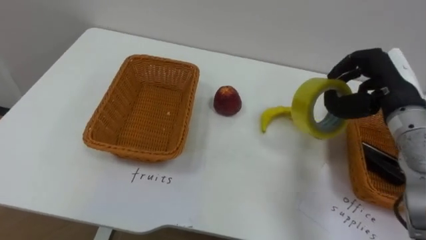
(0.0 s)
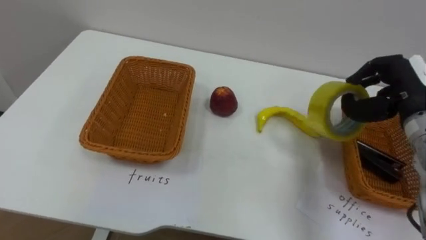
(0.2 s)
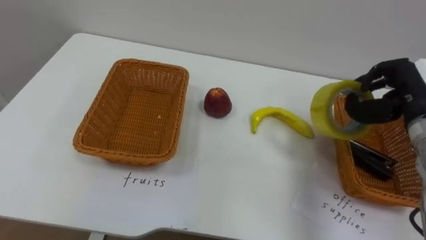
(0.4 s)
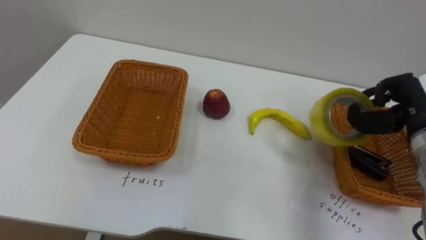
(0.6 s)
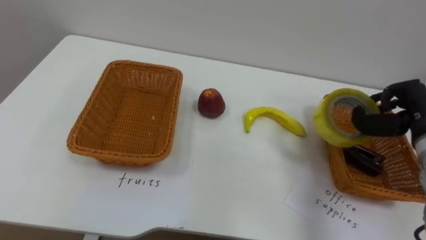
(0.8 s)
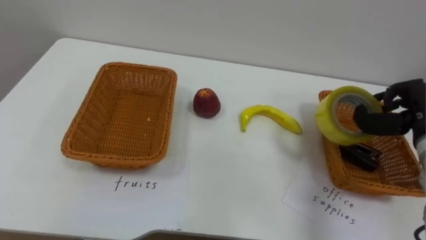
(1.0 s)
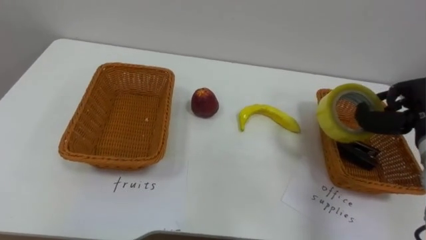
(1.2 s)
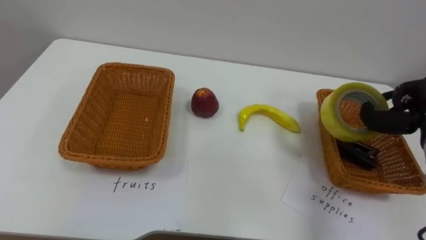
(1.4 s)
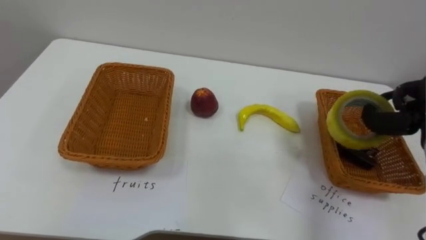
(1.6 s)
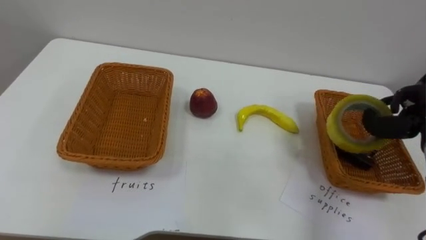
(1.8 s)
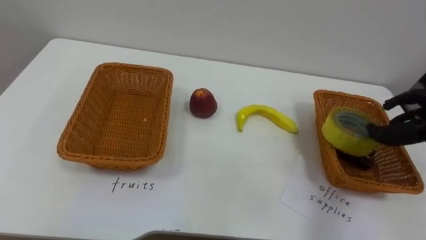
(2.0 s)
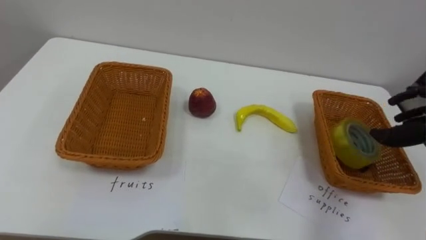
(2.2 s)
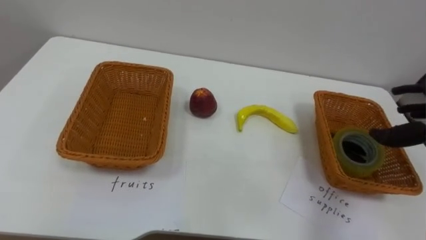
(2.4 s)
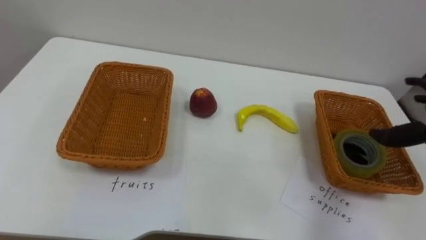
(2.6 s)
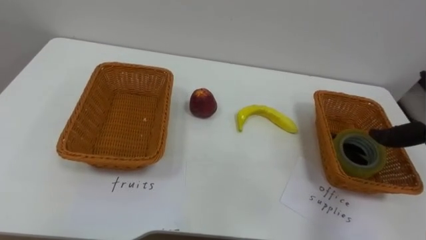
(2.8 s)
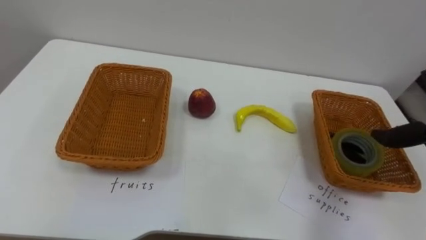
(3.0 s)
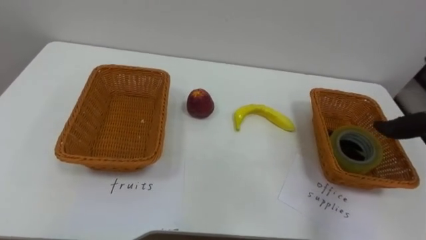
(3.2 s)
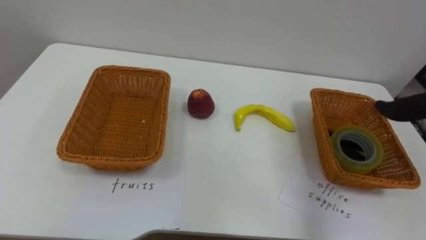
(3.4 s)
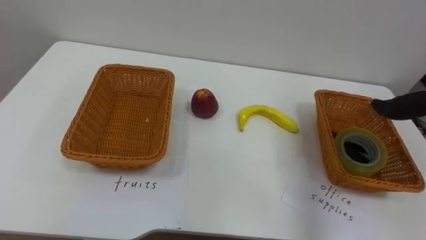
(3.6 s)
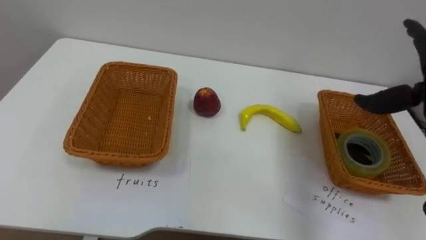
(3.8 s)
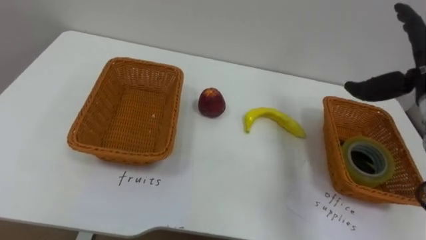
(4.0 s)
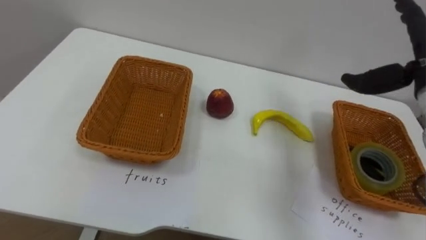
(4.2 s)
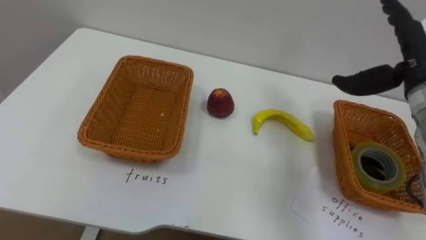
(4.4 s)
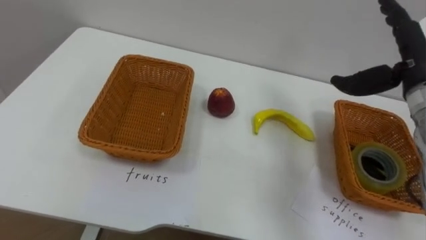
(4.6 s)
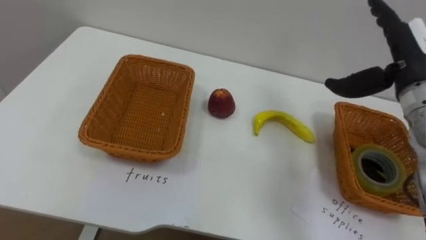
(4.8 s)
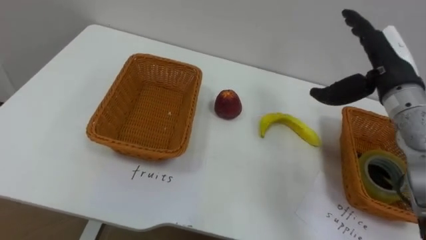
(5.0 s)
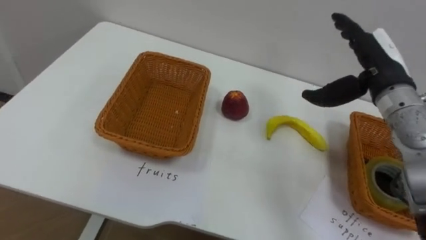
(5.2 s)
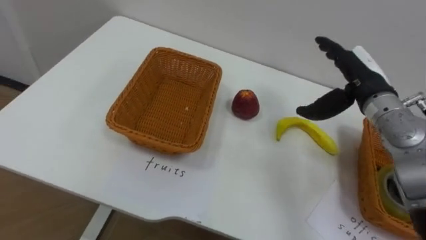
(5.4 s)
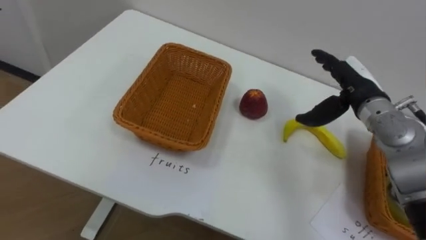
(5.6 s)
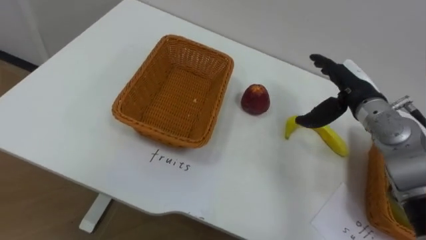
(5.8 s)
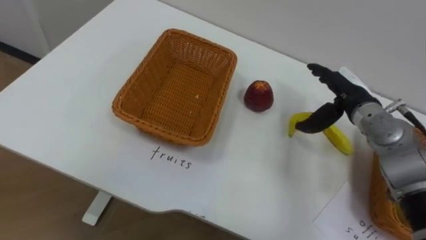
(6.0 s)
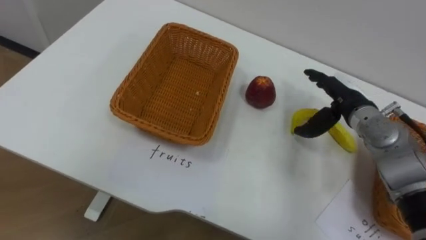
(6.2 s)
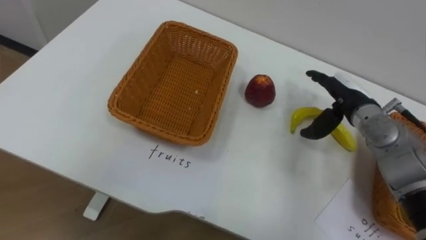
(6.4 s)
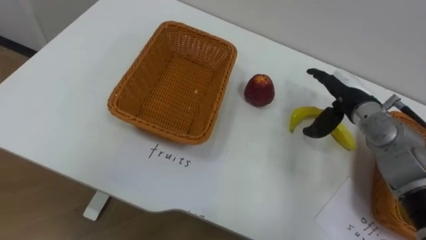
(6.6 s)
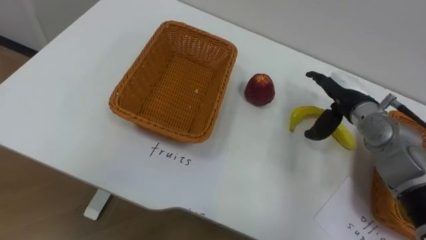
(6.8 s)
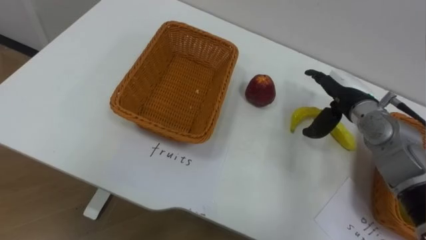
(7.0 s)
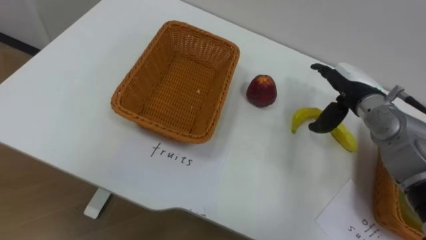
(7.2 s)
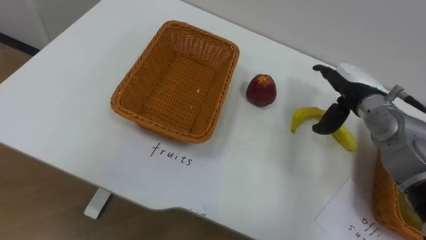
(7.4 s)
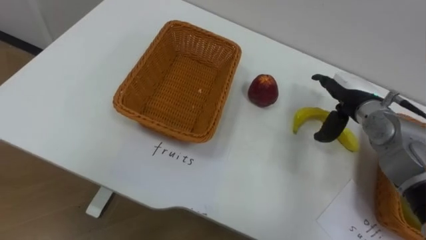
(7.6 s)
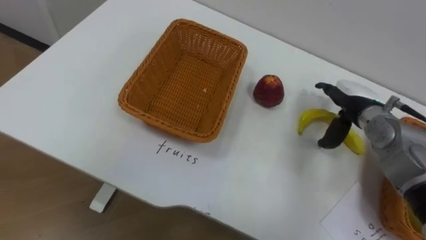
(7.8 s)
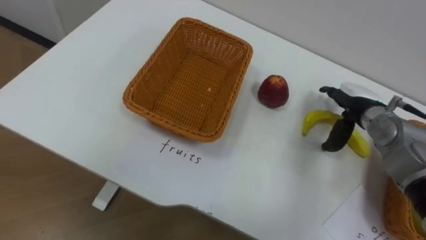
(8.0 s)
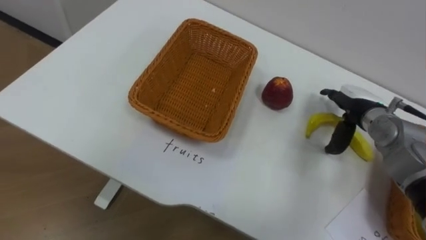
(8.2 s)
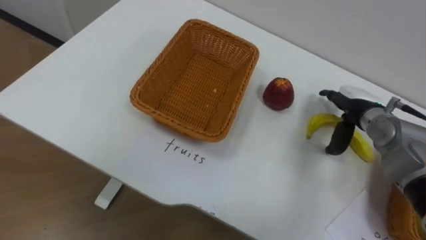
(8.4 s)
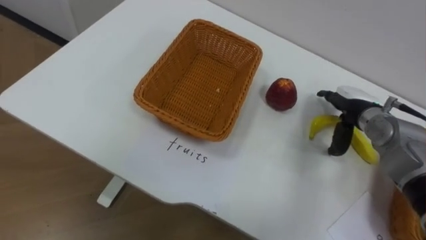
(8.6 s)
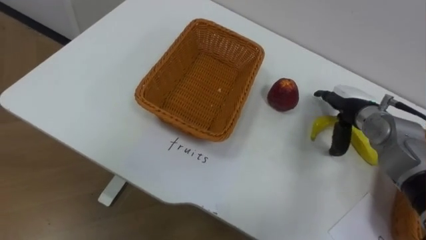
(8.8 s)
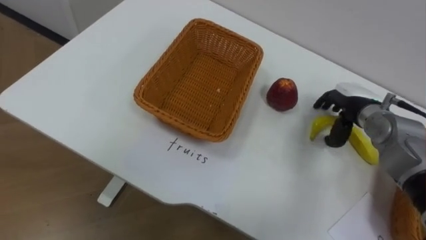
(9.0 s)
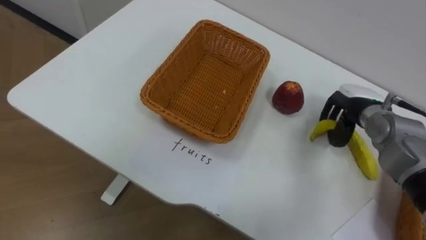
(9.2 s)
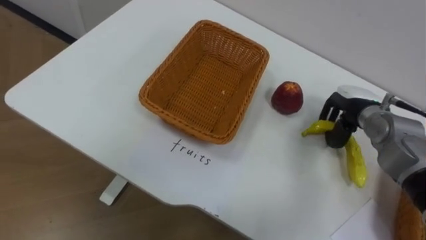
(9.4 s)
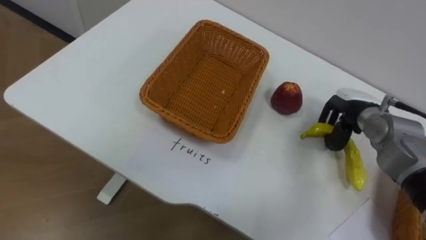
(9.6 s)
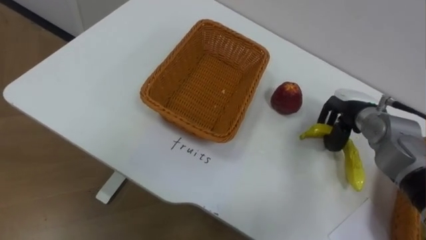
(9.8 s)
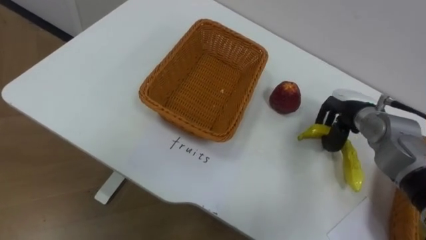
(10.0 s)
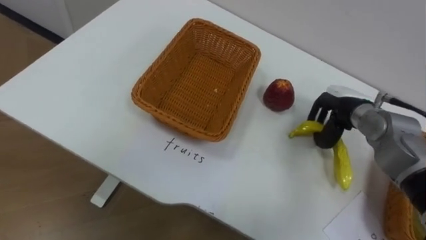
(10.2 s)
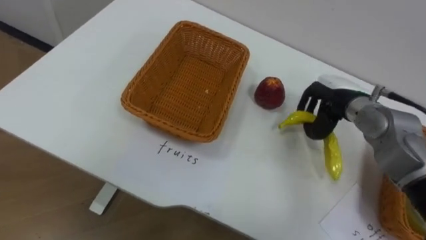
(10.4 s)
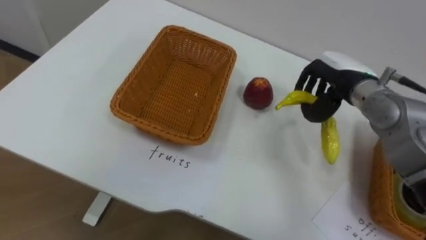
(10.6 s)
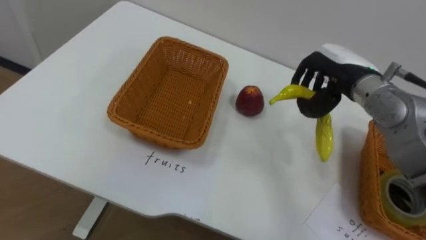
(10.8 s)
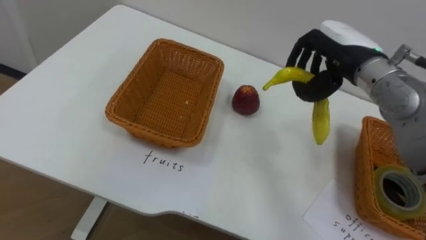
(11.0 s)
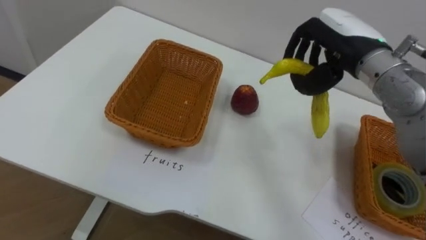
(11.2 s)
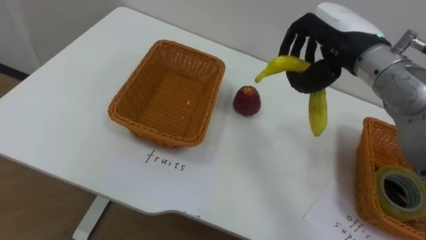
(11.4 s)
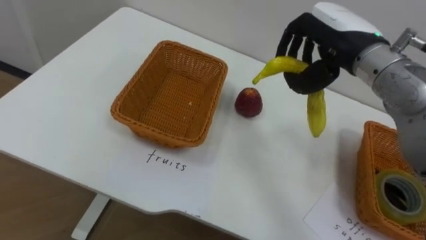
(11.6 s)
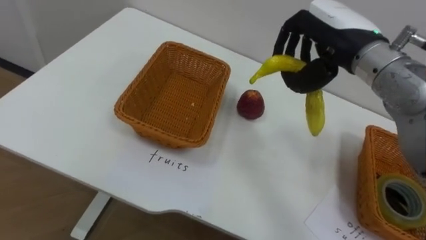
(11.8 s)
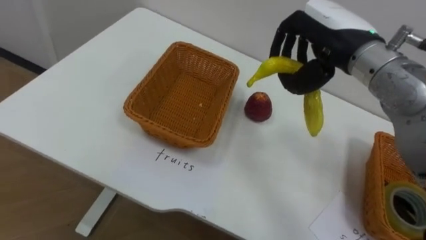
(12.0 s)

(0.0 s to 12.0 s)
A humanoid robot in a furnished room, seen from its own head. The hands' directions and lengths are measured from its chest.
Task of the whole recording: Separate the items on the table and place them into the two baskets.
4.4 s - 6.0 s: The right hand shifts some 10 cm downward and to the left.
9.0 s - 10.4 s: The right hand closes up.
10.4 s - 12.0 s: The right hand goes some 15 cm upward and to the left.

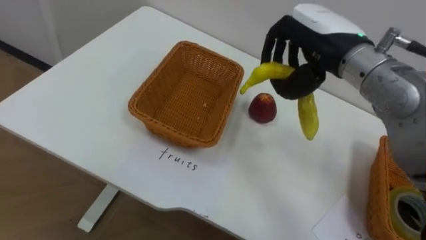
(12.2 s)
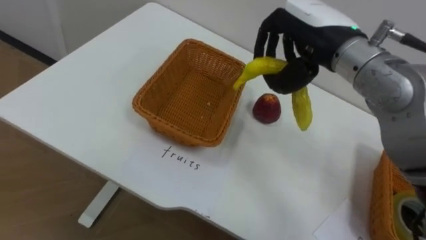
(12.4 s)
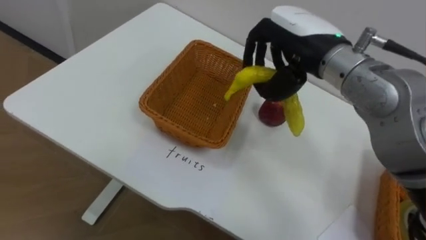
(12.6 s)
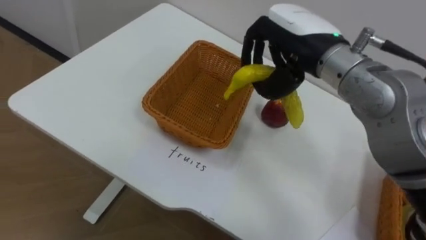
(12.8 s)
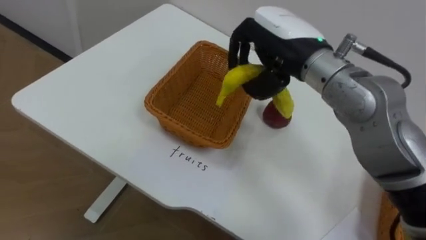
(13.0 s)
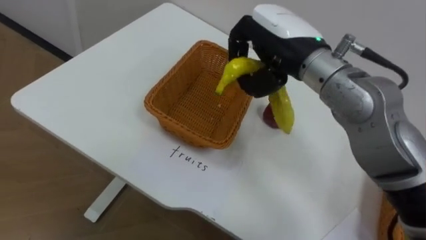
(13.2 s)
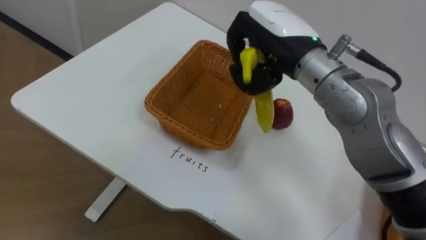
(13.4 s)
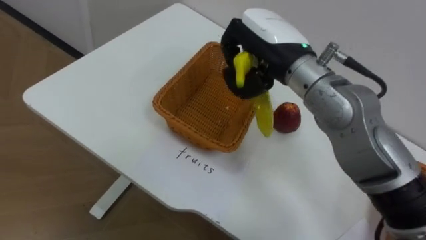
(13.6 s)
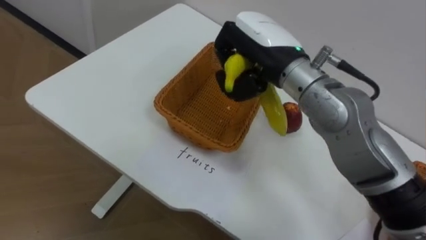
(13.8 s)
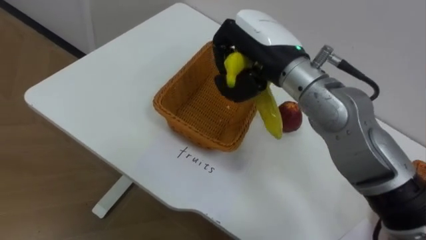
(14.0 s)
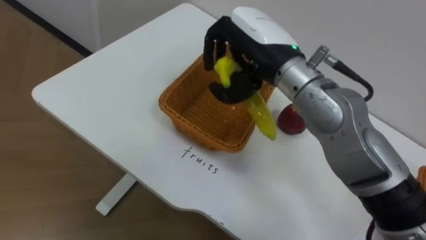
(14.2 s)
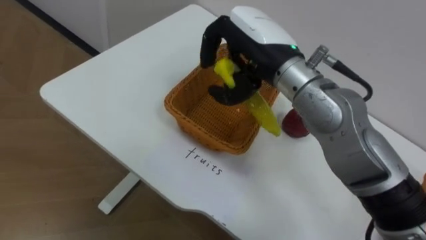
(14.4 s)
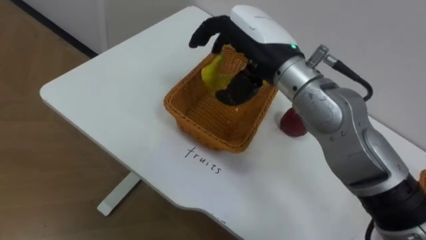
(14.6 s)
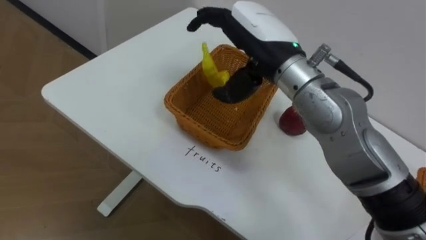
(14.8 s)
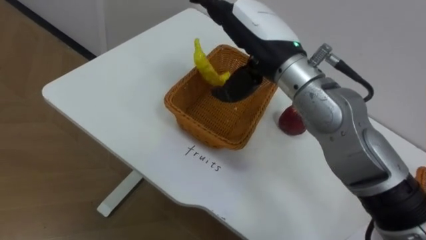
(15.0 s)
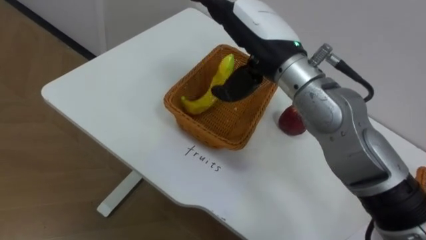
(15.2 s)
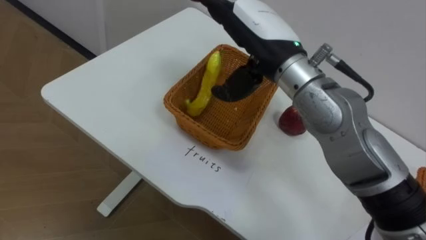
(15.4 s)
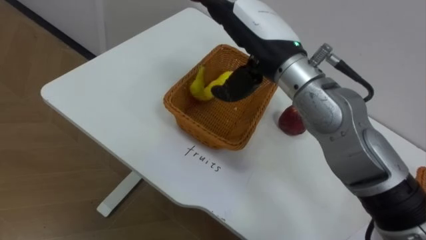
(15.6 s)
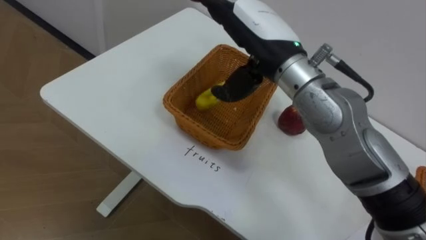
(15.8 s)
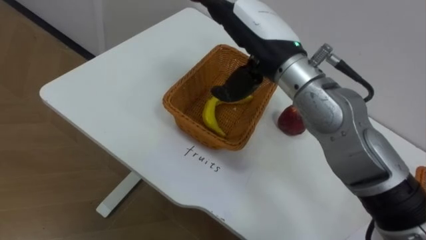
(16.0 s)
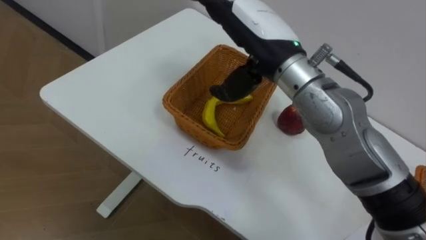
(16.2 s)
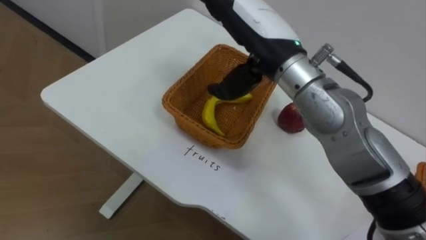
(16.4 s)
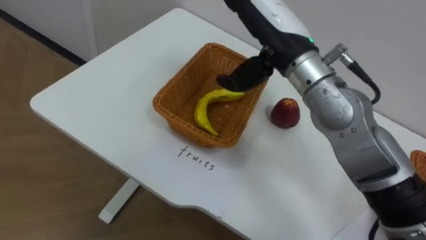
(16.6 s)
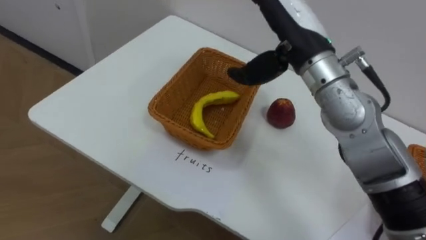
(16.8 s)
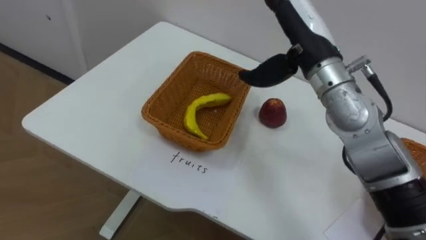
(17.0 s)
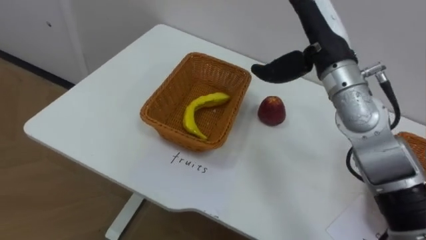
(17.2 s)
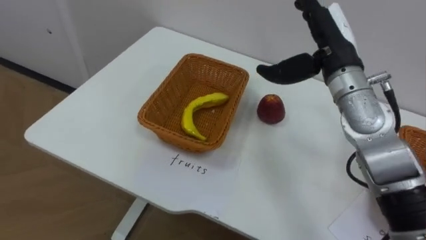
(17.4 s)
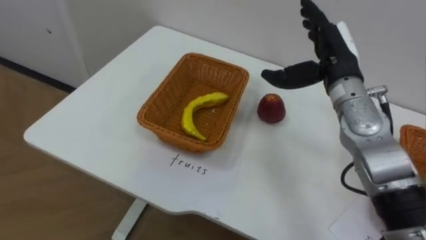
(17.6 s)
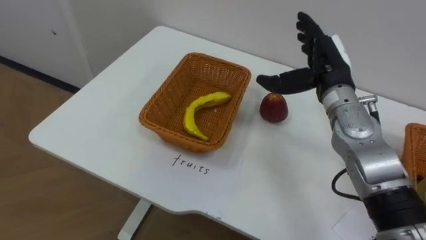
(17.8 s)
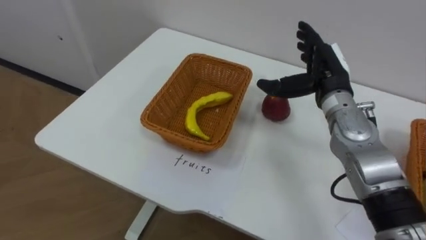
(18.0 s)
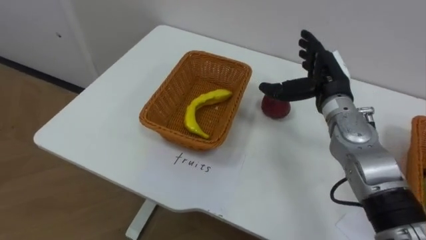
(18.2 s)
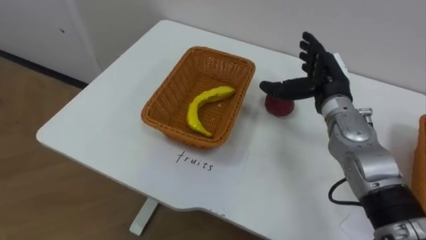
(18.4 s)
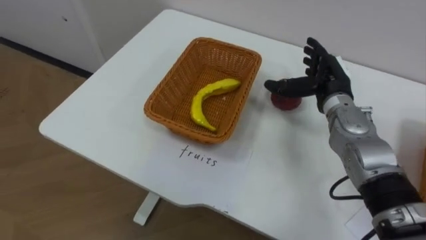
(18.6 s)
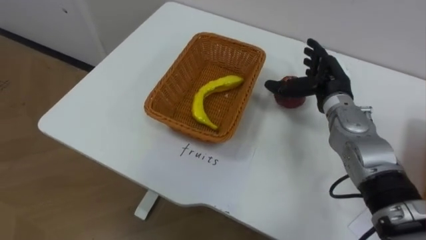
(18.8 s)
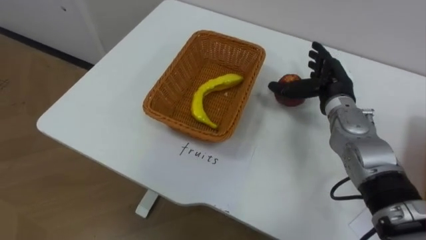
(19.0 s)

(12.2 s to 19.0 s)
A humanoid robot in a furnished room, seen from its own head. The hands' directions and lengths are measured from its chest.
Task of the whole recording: Separate the items on the table and place them into the two baskets.
12.2 s - 13.6 s: The right hand goes roughly 5 cm to the left.
13.6 s - 15.0 s: The right hand opens up.
16.2 s - 17.6 s: The right hand is displaced to the right and downward by roughly 15 cm.
17.6 s - 19.0 s: The right hand shifts about 10 cm downward.
